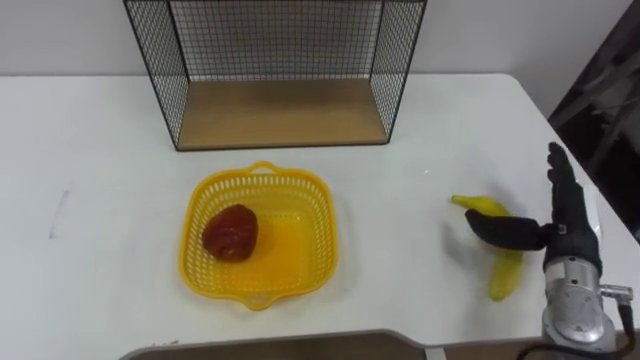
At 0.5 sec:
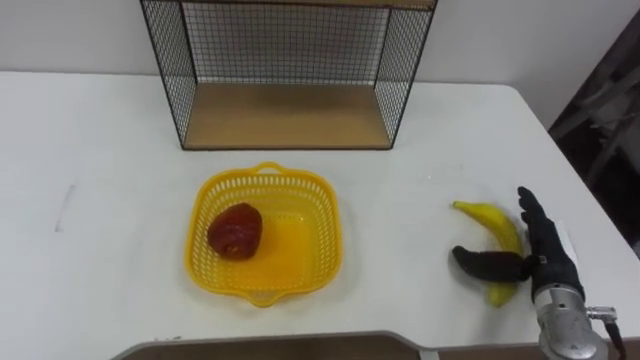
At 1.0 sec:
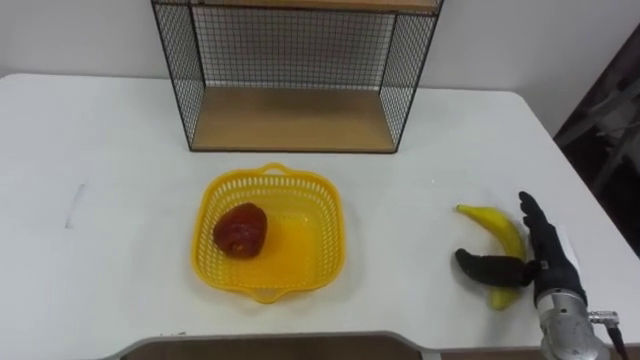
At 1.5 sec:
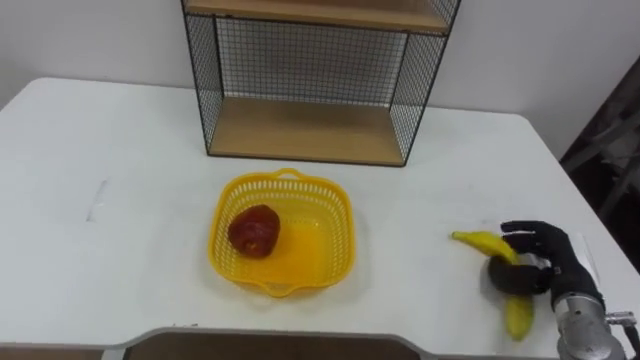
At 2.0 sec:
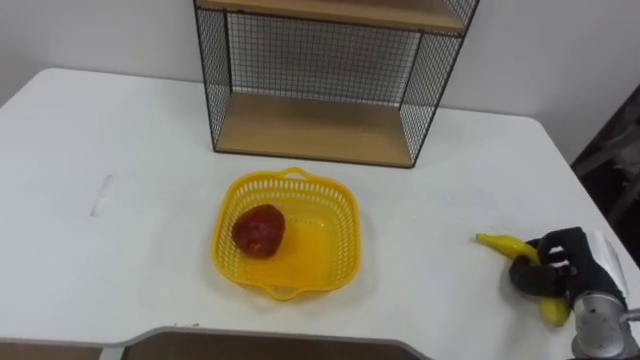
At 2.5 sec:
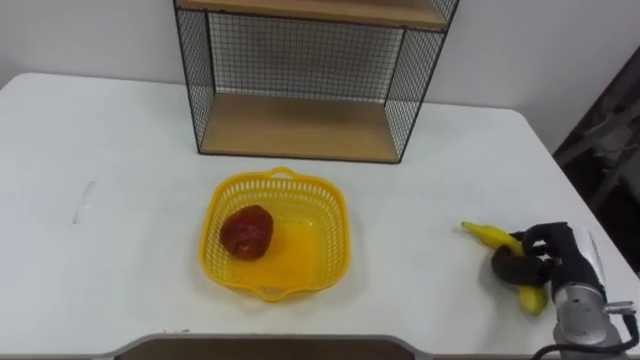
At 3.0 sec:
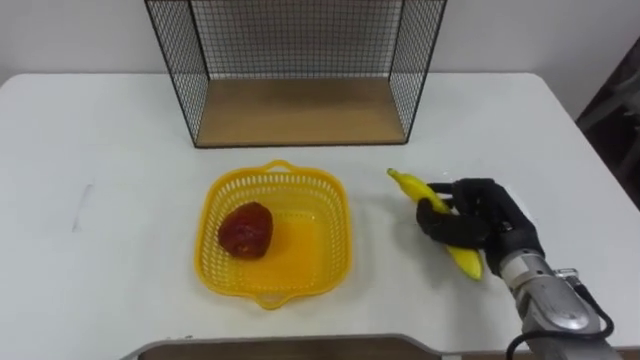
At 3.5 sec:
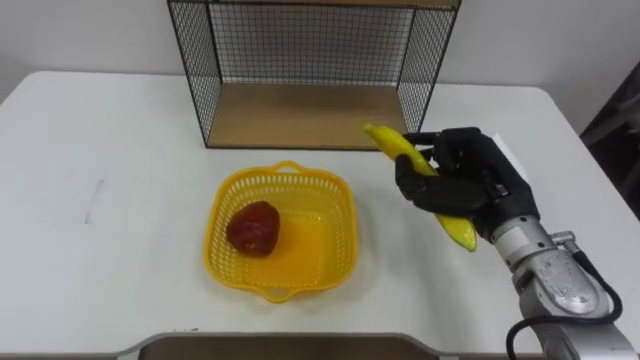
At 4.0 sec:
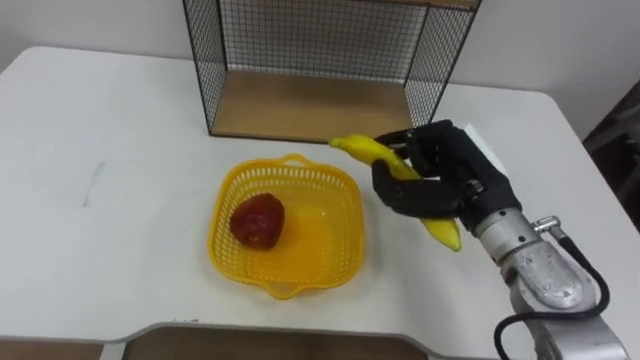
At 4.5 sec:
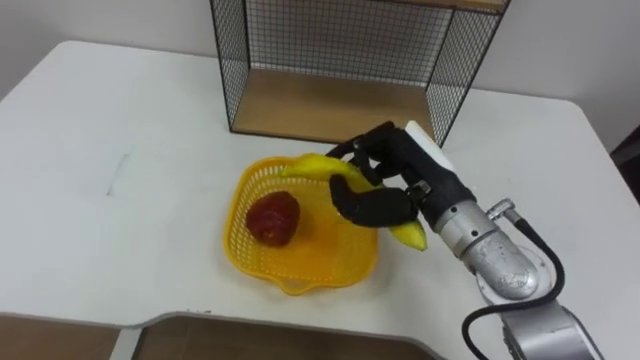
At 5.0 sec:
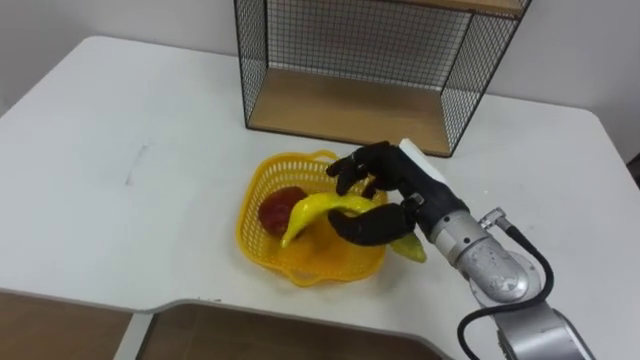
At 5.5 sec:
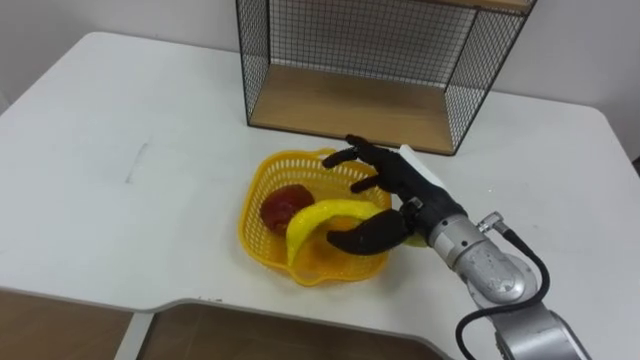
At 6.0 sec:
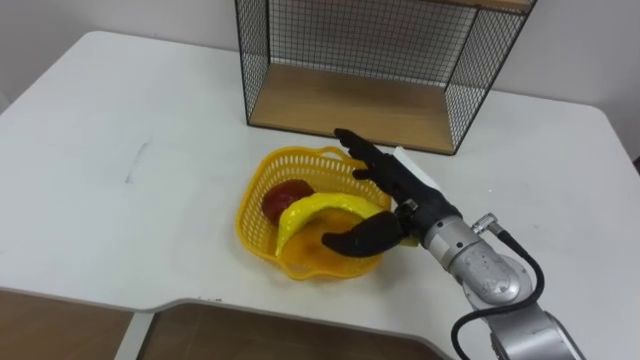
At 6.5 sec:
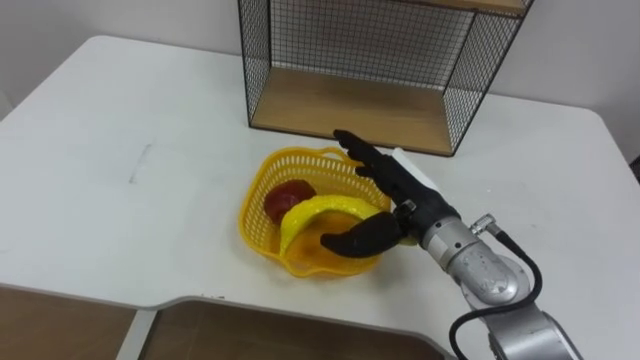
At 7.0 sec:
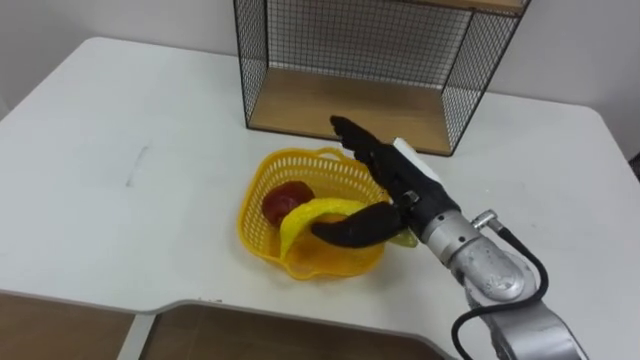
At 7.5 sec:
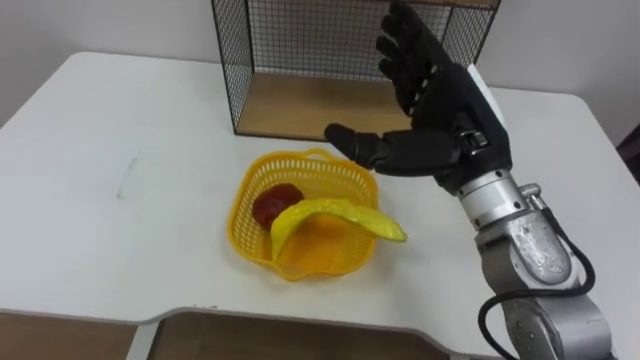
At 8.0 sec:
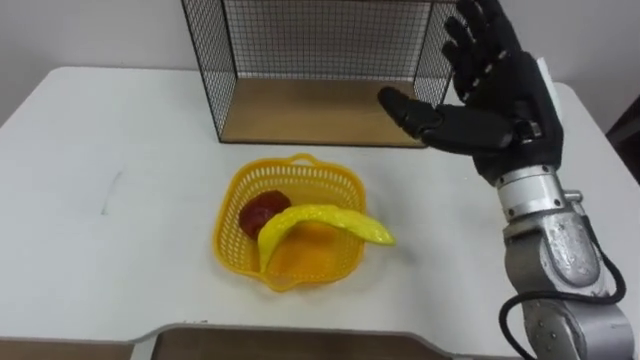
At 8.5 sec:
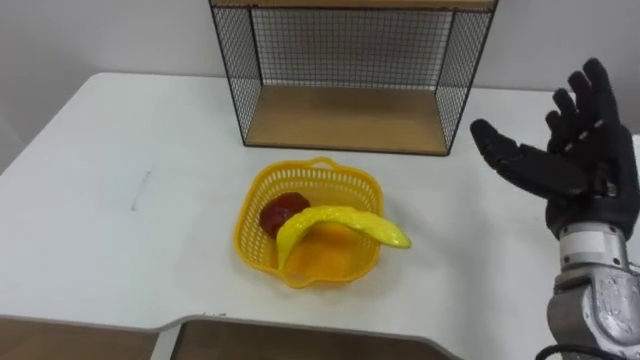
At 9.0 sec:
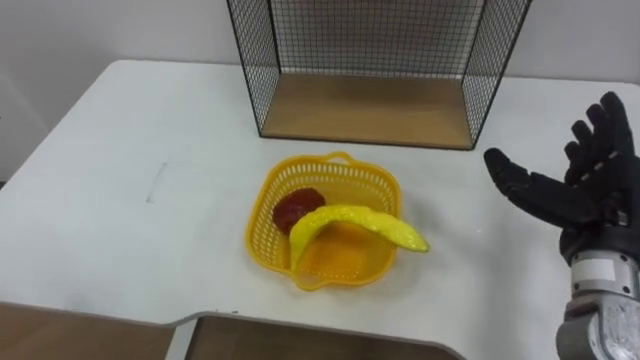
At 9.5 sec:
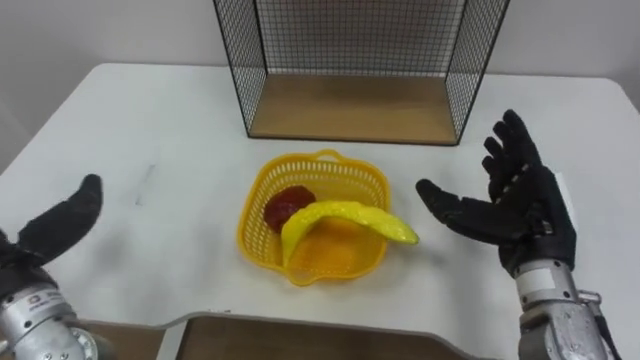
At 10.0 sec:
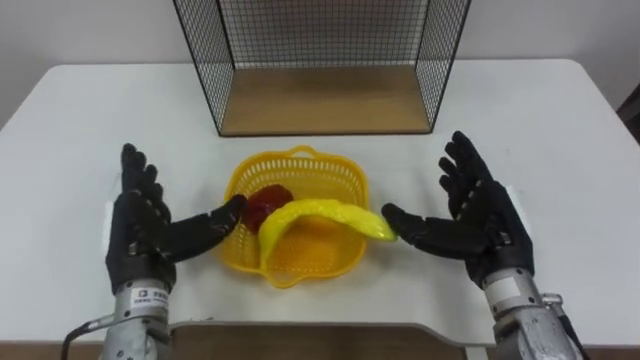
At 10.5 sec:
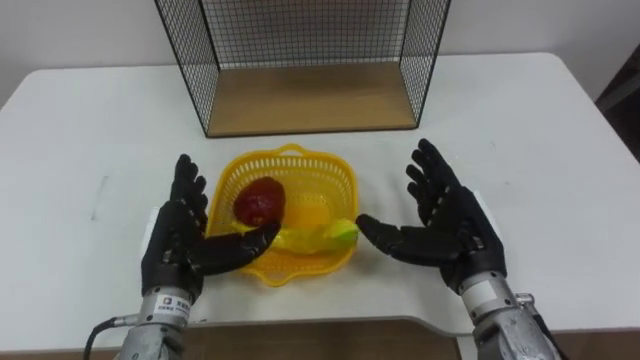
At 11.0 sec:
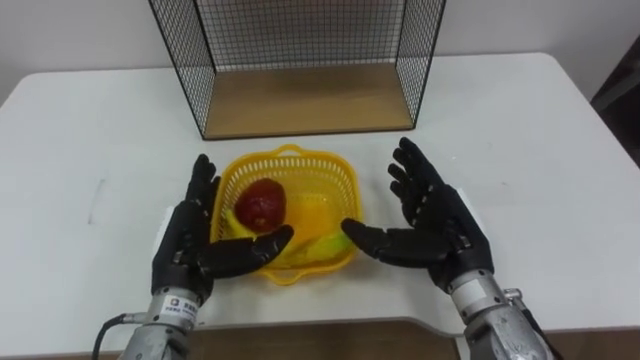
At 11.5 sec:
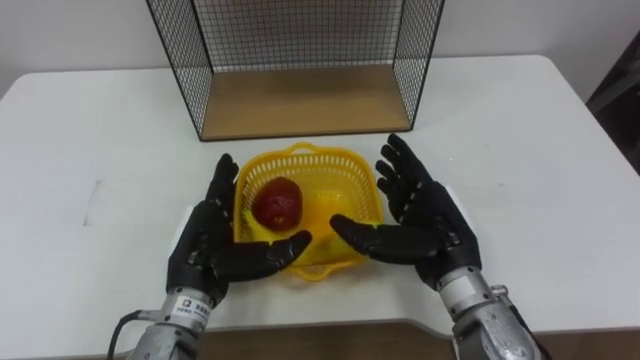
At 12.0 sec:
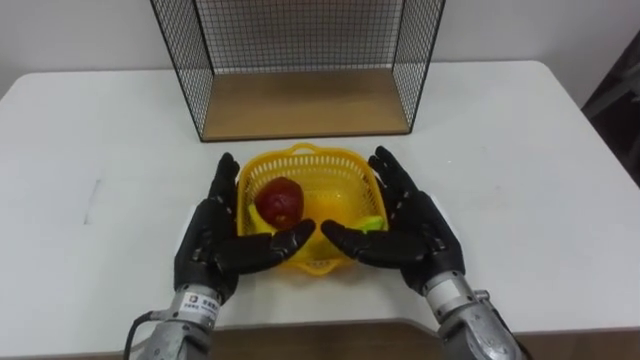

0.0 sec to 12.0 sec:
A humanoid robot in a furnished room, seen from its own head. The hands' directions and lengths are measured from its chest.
Task of the whole recording: Put the fruit on the table into the basket, then place the basket on the shelf.
0.0 sec to 2.0 sec: The right hand goes approximately 10 cm downward, and closes its fingers.
2.0 sec to 4.0 sec: The right hand travels to the left and upward by some 25 cm.
4.0 sec to 6.0 sec: The right hand moves to the left, about 5 cm, and opens up.
6.0 sec to 8.0 sec: The right hand heads upward and to the right, covering approximately 15 cm.
8.0 sec to 10.0 sec: The right hand is displaced downward by approximately 15 cm.
10.0 sec to 12.0 sec: The right hand travels to the left by some 10 cm; the left hand goes about 5 cm to the right.

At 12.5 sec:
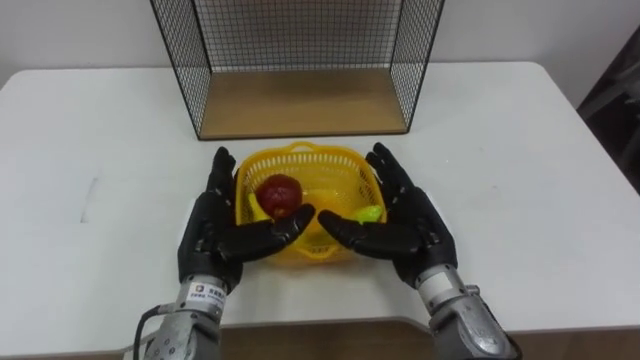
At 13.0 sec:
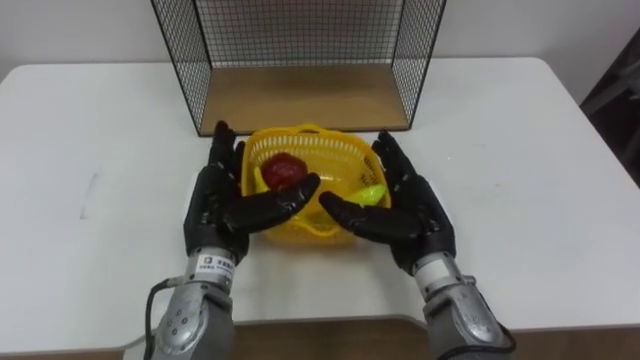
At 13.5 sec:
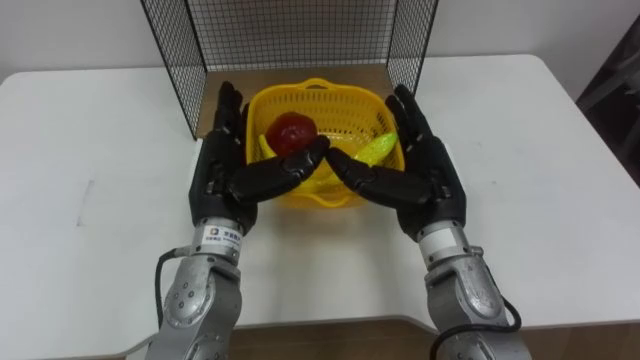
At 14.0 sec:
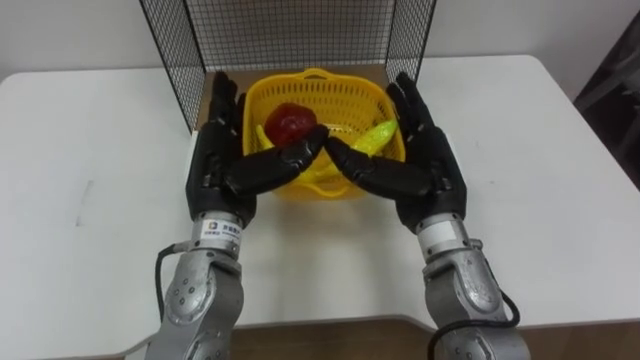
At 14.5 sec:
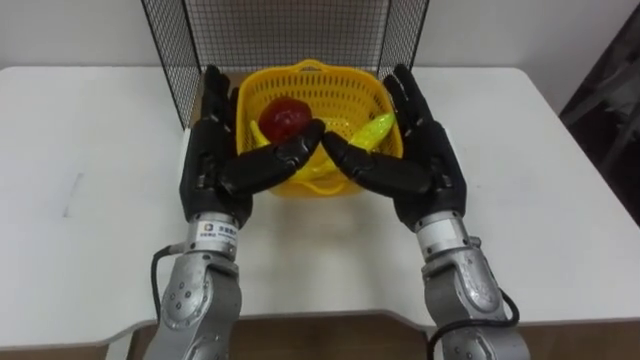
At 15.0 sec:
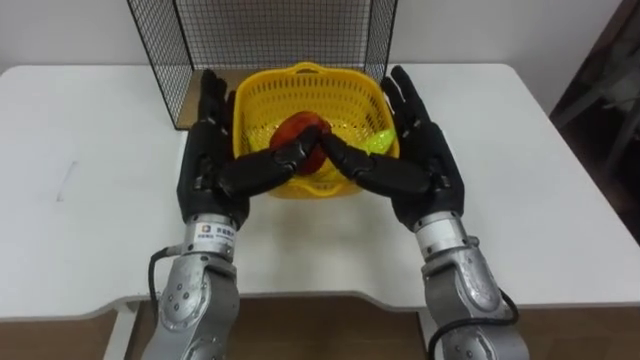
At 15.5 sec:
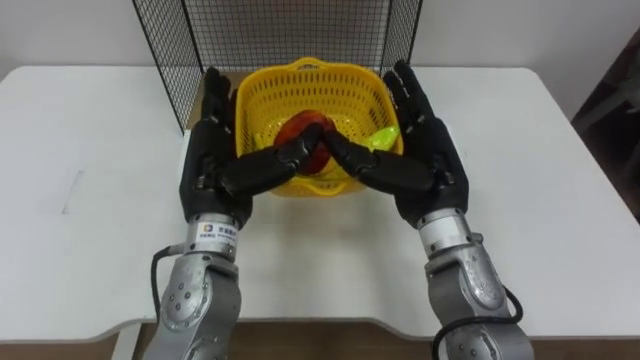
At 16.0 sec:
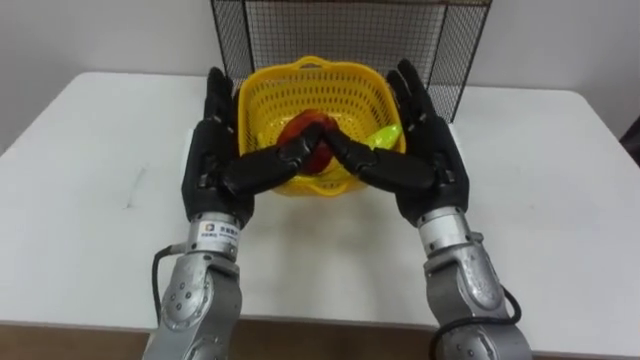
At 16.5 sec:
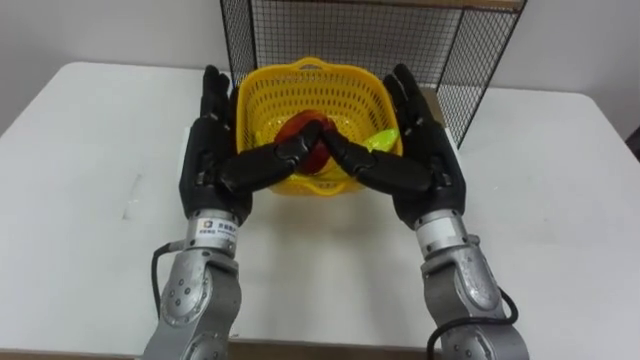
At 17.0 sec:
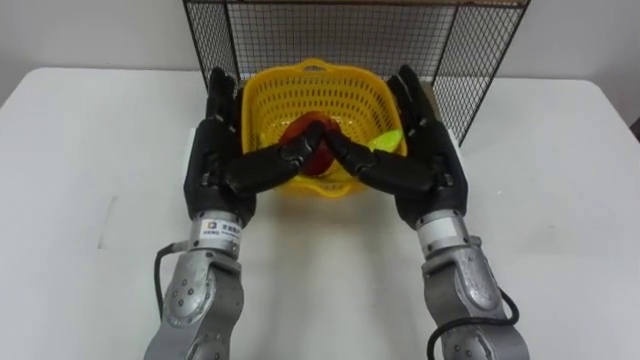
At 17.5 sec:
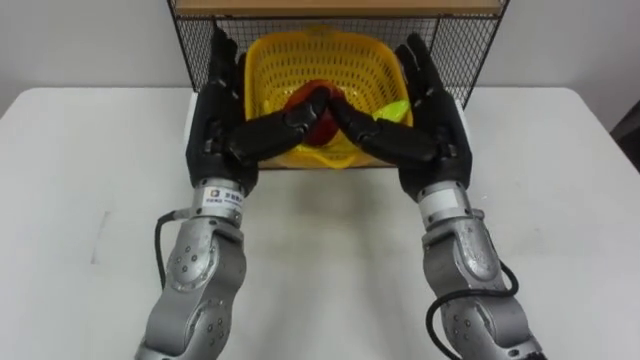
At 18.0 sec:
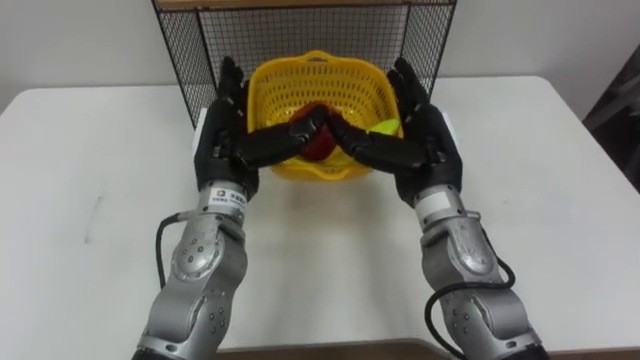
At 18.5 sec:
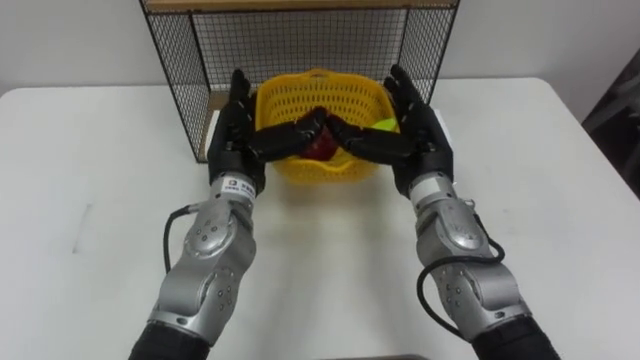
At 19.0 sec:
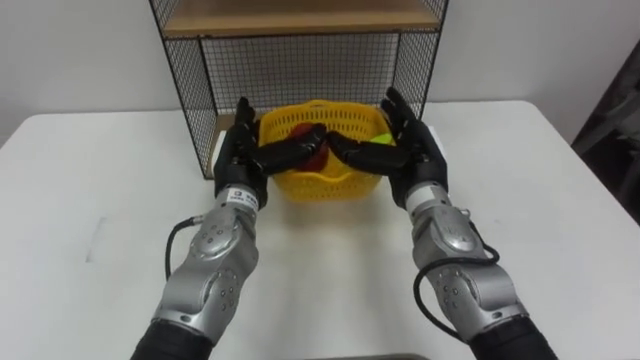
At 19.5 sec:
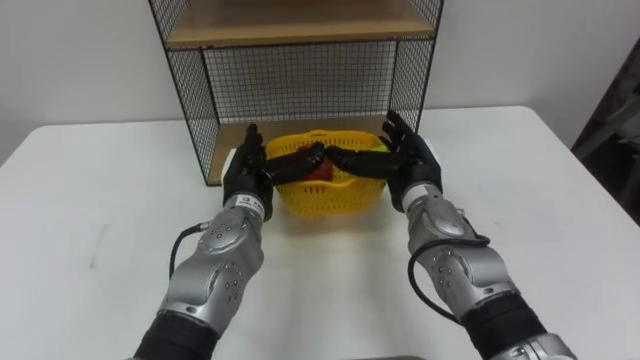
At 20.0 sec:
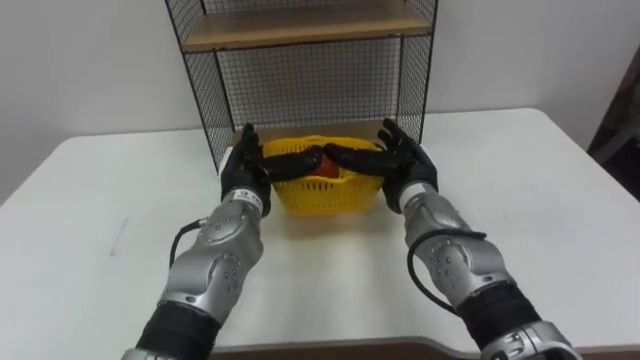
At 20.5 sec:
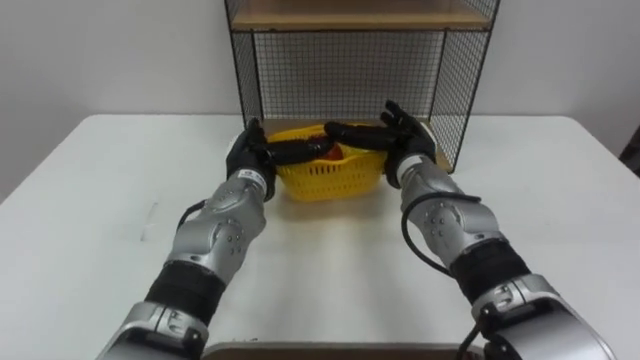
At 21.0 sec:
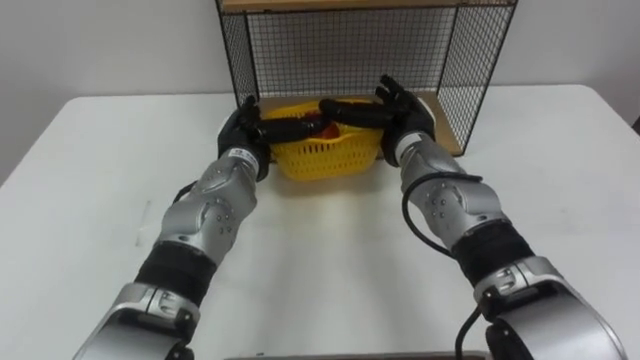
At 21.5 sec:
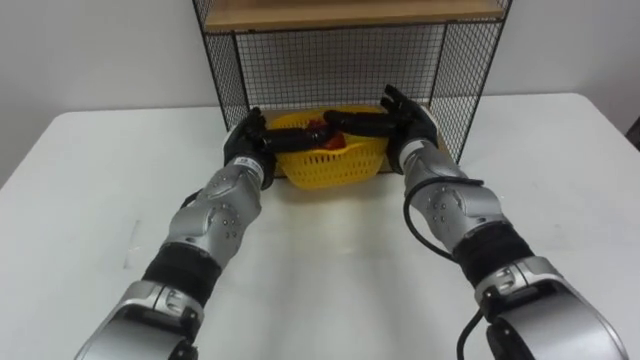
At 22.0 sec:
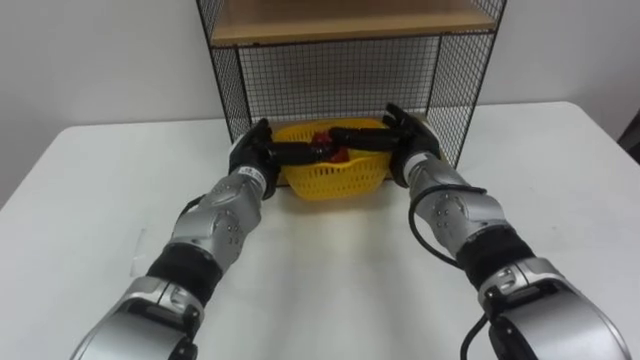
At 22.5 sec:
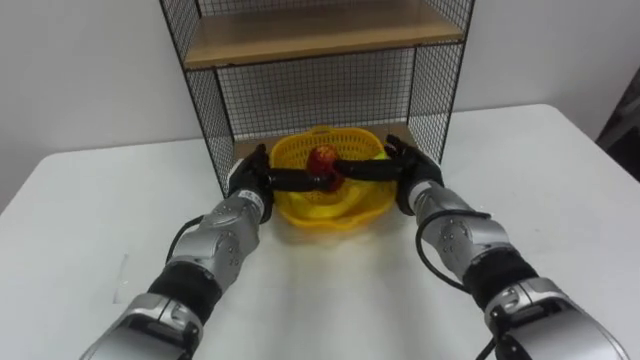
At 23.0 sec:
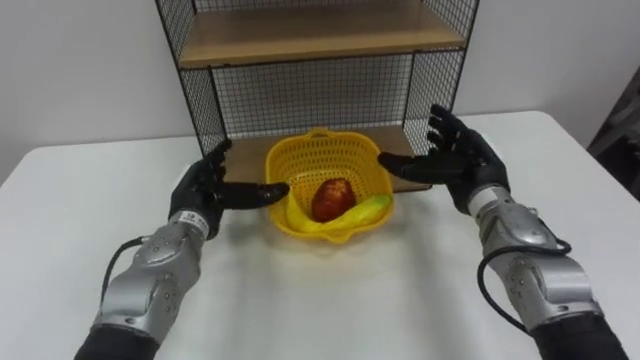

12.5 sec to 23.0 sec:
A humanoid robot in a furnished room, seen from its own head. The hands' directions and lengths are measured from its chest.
Task of the whole recording: Put the fruit on the table into the basket, then place the basket on the shelf.
12.5 sec to 14.5 sec: Both hands travel together upward, roughly 10 cm.
16.5 sec to 19.0 sec: The left hand travels downward by approximately 5 cm, while the right hand moves some 5 cm.
19.0 sec to 21.0 sec: The right hand shifts about 5 cm forward.
21.0 sec to 23.0 sec: The left hand is displaced to the left and backward by about 10 cm. The right hand heads to the right and backward, covering roughly 10 cm.
